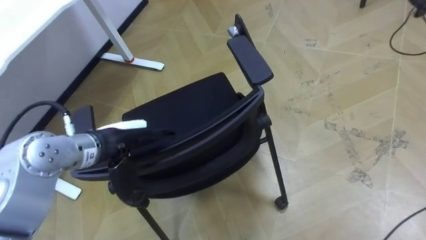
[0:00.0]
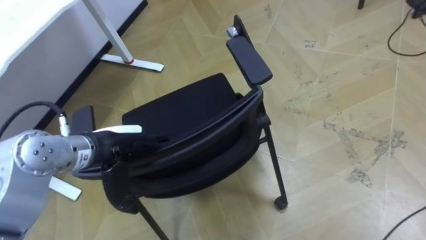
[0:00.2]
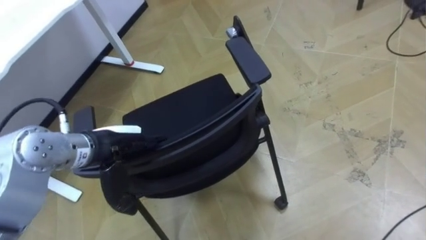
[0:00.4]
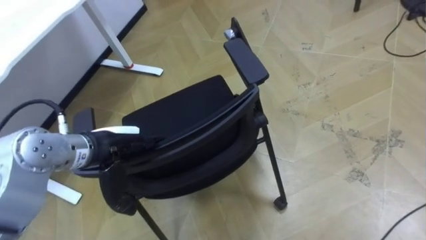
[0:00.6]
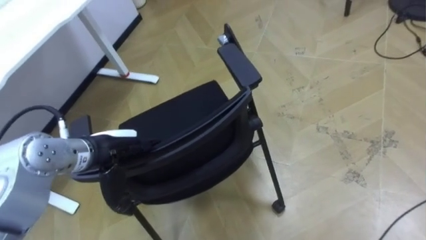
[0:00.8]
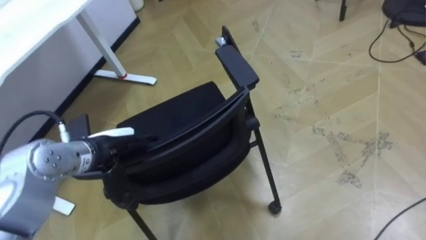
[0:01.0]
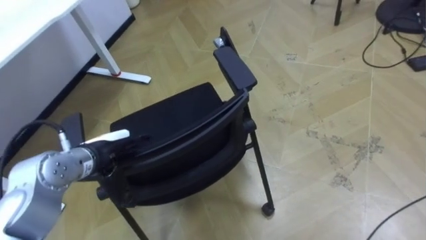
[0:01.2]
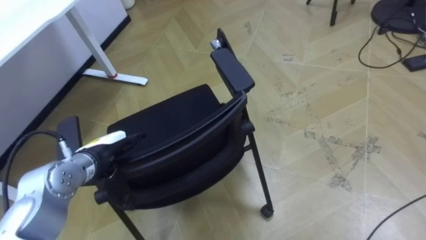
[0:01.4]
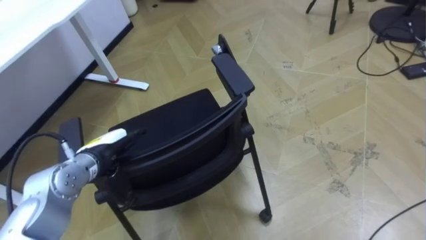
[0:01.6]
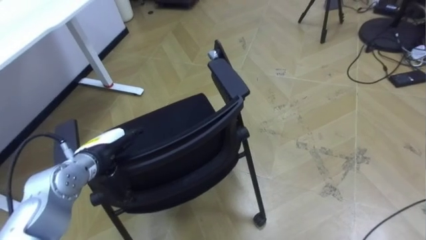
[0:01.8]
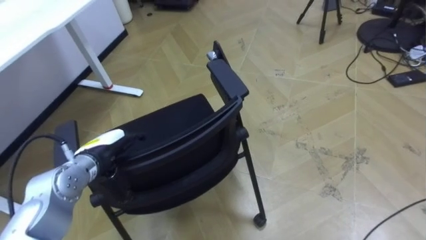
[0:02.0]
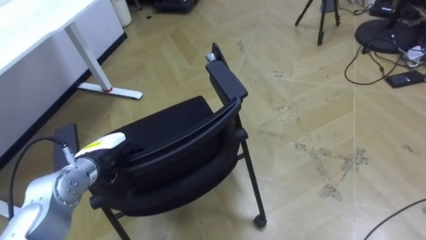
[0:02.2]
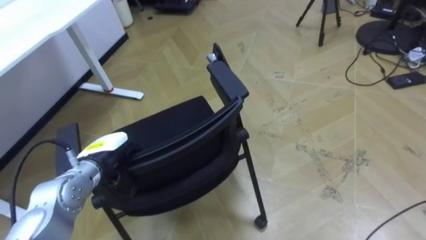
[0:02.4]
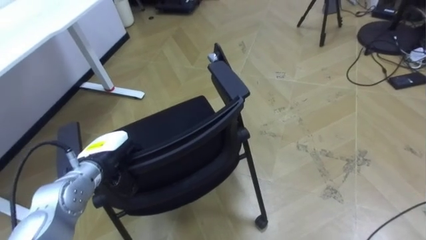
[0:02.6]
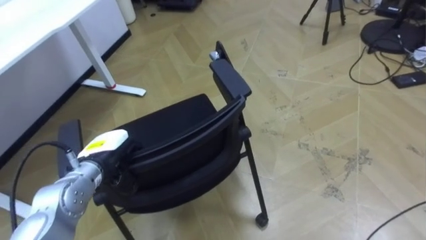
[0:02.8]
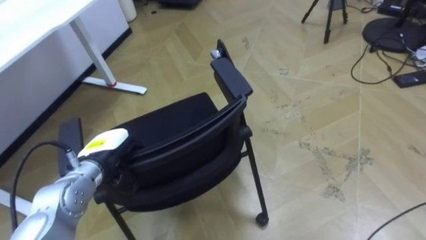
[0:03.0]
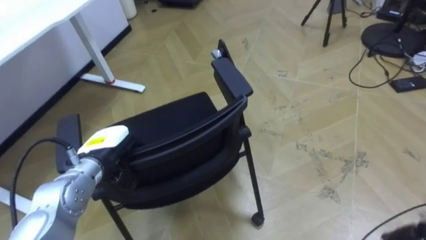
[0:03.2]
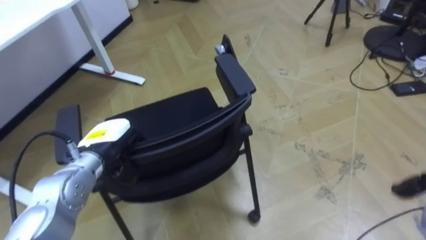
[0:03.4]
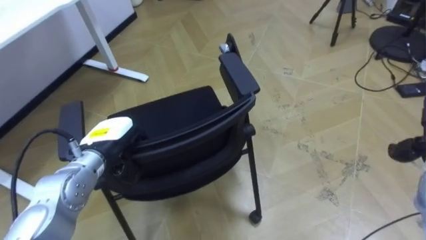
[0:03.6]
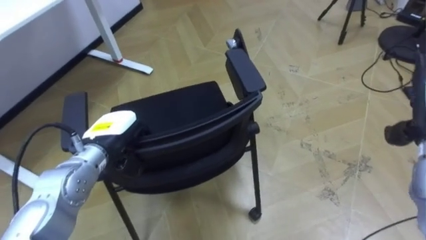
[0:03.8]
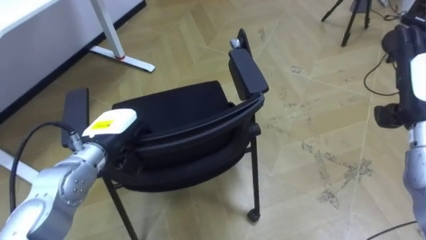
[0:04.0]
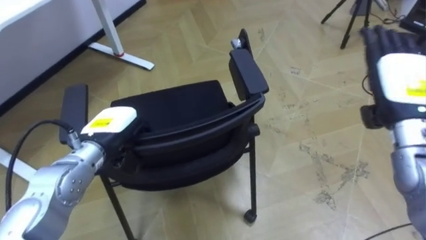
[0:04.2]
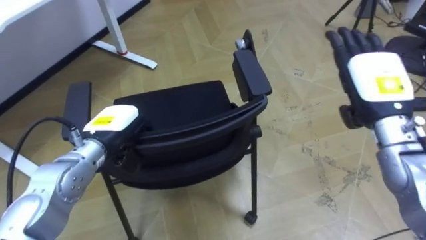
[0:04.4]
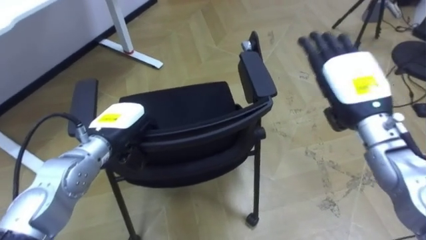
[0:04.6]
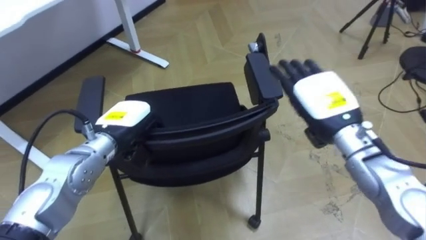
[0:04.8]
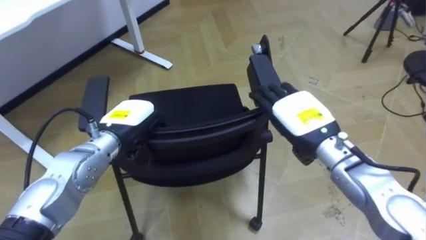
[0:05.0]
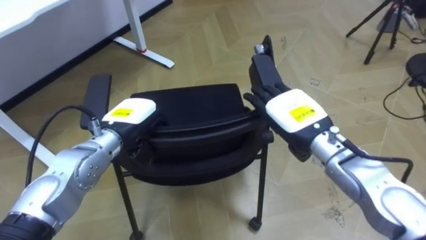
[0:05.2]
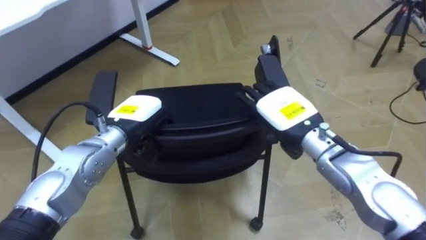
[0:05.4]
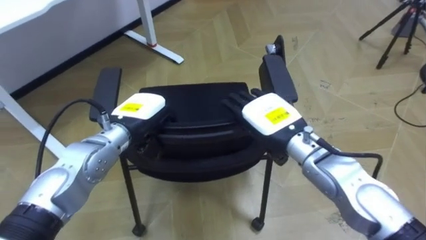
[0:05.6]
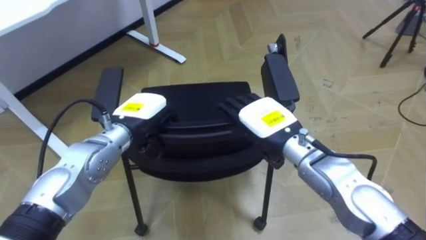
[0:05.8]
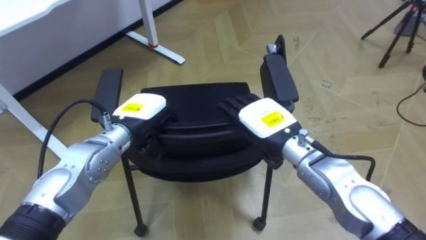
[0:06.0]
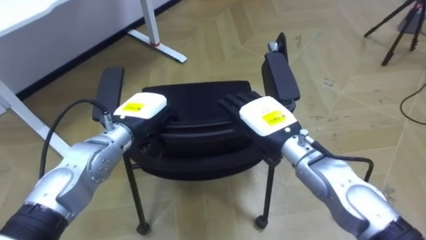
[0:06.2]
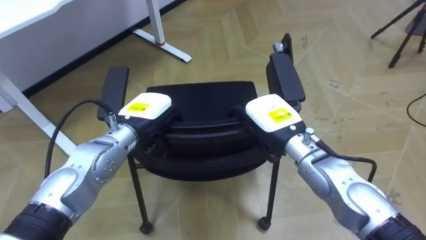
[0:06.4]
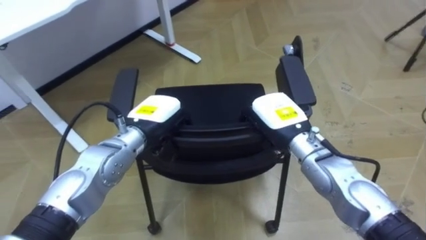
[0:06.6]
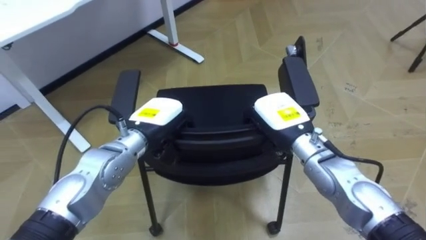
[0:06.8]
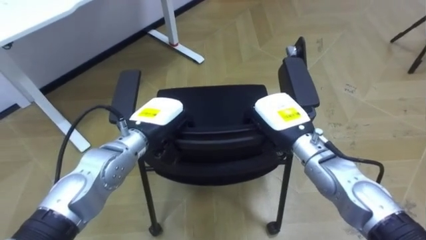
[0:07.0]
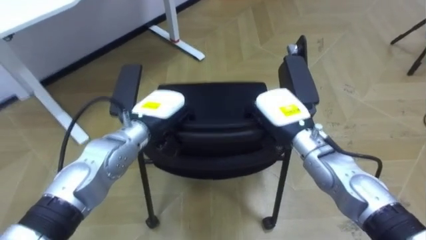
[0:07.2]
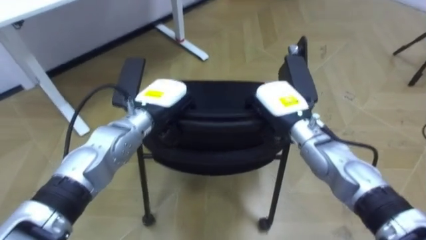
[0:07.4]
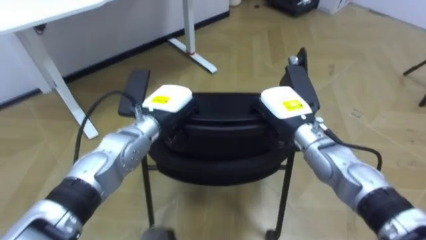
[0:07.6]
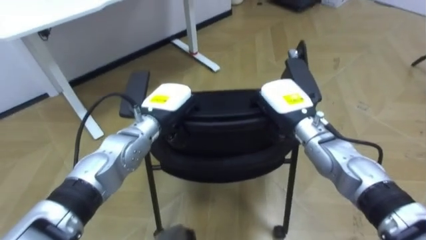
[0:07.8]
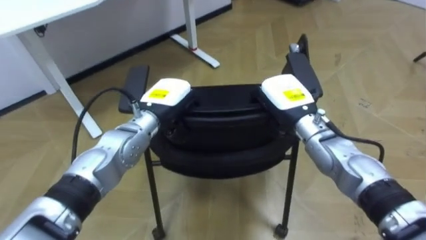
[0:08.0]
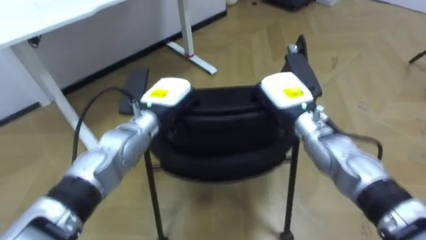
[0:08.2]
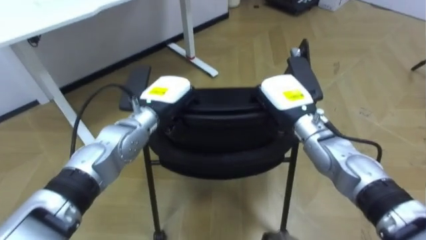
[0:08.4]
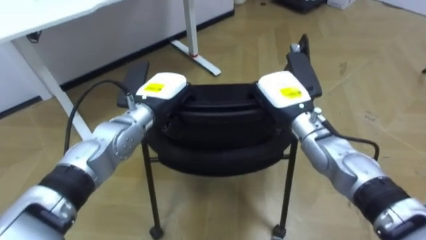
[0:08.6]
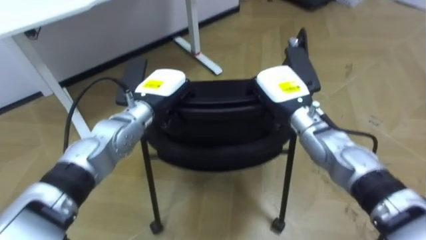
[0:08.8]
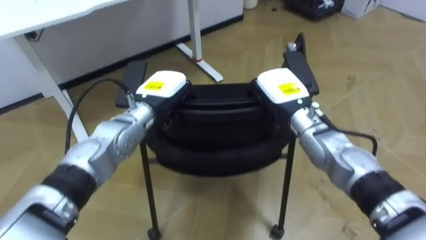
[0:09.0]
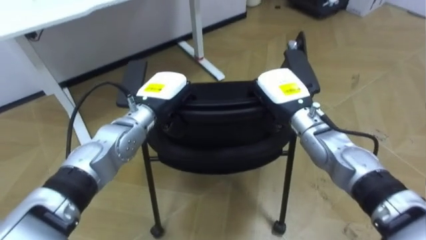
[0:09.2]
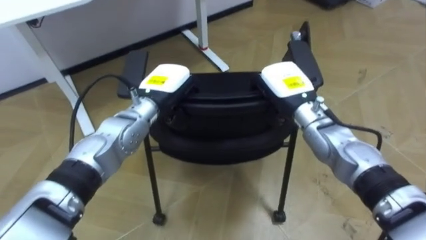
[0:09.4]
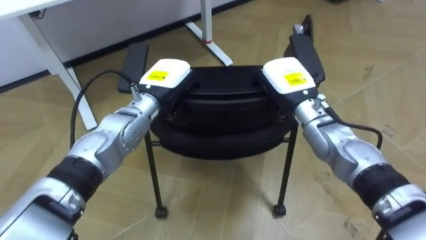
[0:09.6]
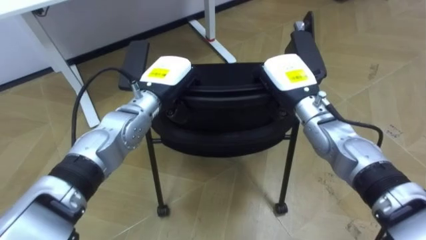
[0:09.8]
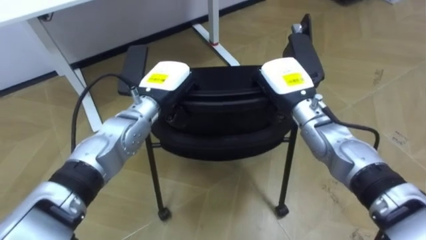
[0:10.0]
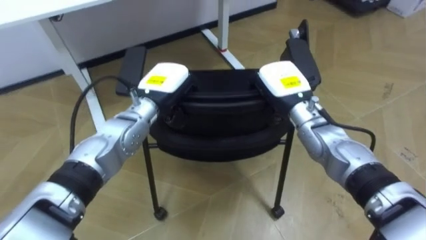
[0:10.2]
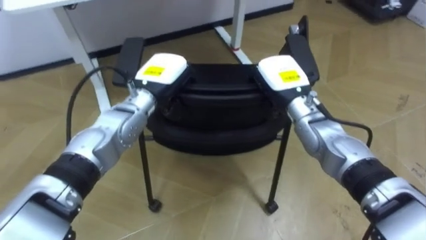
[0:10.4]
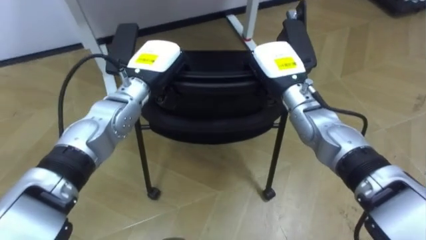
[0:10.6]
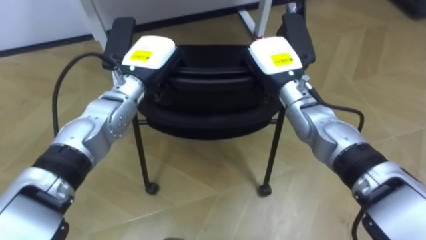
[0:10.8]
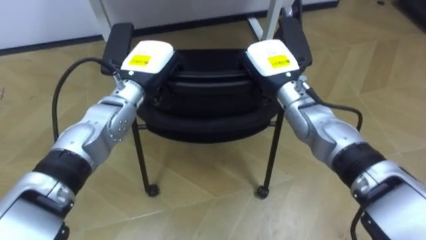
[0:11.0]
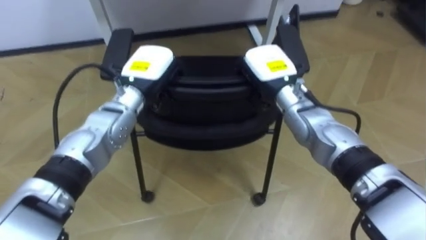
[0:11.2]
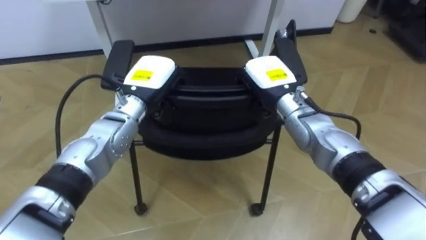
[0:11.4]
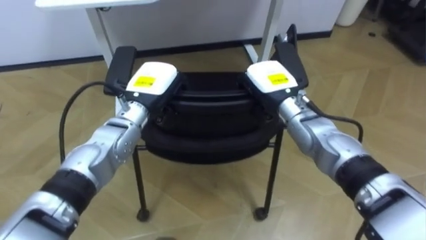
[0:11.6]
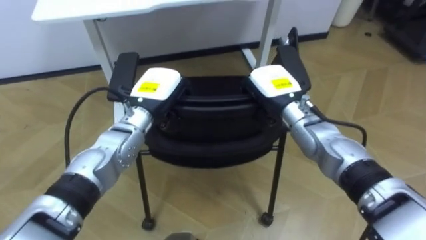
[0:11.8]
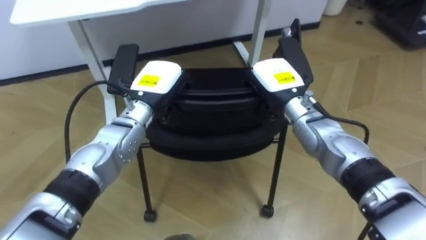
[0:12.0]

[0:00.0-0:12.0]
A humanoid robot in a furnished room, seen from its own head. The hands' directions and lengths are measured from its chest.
Task of the whole recording: Push the chair under the table.
0:00.0 to 0:01.6: The left hand is displaced downward by approximately 10 cm.
0:01.6 to 0:03.0: The left hand closes up.
0:03.0 to 0:04.4: The left hand ends up roughly 5 cm from where it was.
0:04.4 to 0:06.0: The left hand changes place by some 5 cm. Meanwhile the right hand is displaced to the left and downward by roughly 20 cm.
0:06.0 to 0:07.6: The left hand is displaced to the right by approximately 5 cm; the right hand shifts by some 5 cm, and closes its fingers.

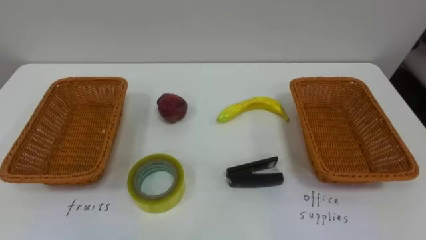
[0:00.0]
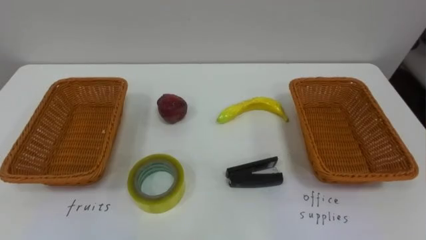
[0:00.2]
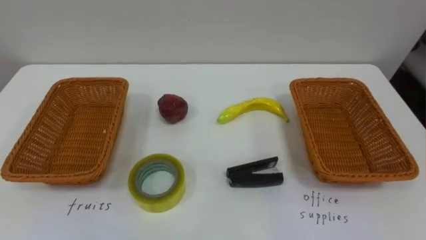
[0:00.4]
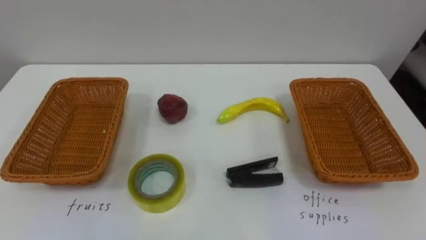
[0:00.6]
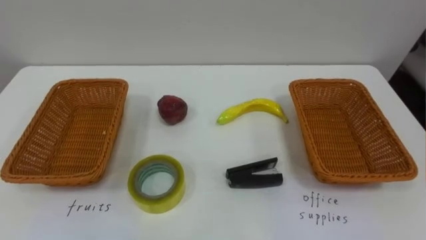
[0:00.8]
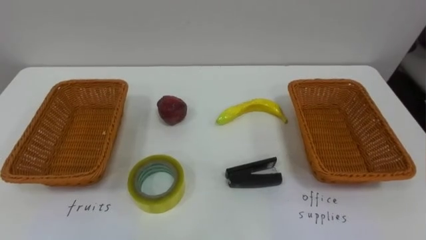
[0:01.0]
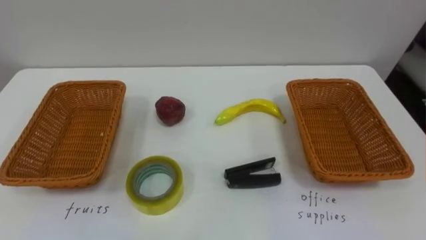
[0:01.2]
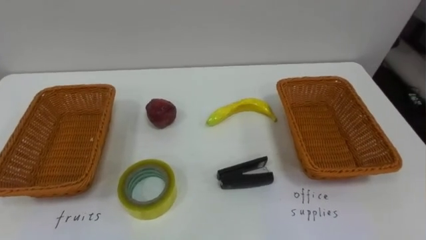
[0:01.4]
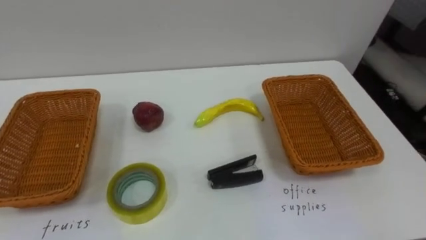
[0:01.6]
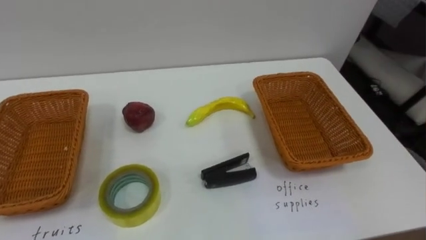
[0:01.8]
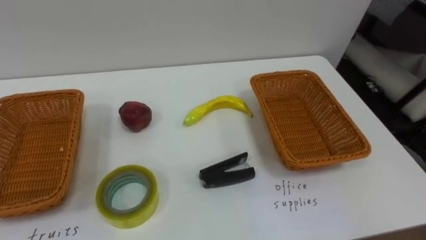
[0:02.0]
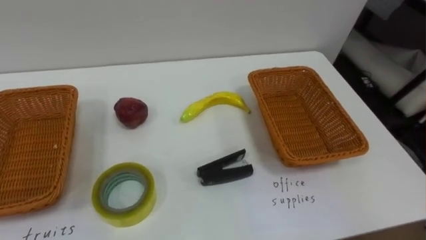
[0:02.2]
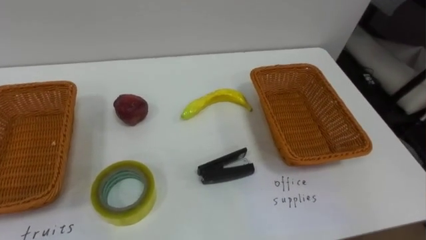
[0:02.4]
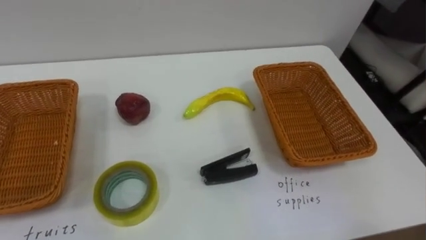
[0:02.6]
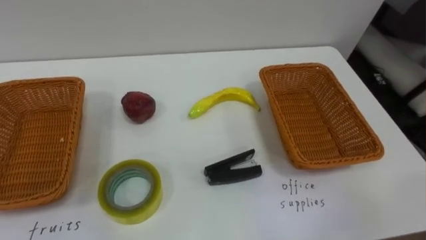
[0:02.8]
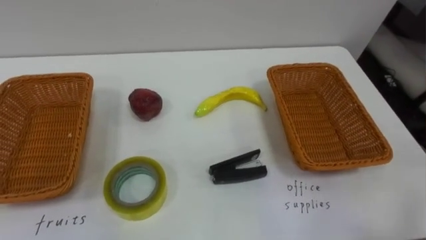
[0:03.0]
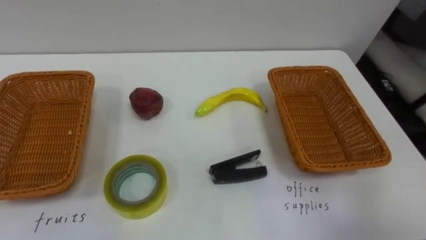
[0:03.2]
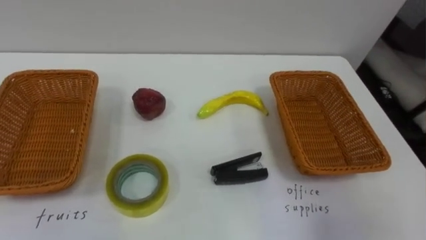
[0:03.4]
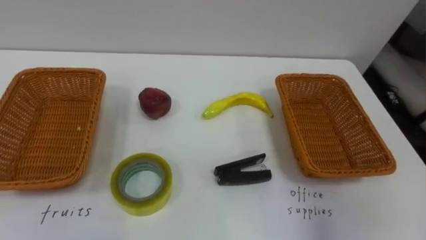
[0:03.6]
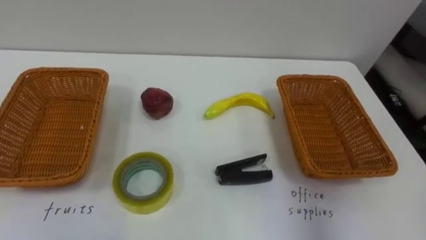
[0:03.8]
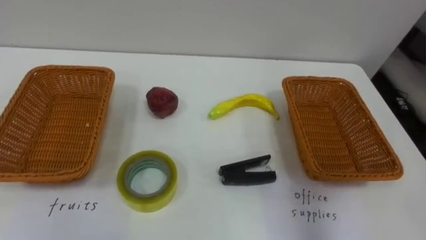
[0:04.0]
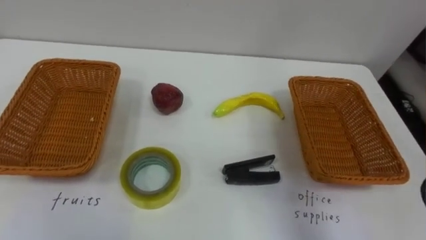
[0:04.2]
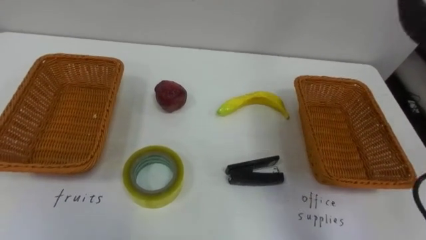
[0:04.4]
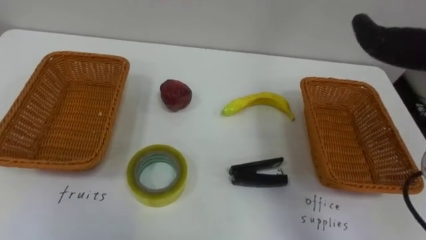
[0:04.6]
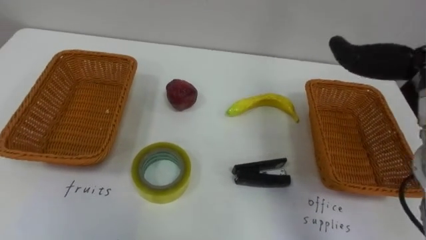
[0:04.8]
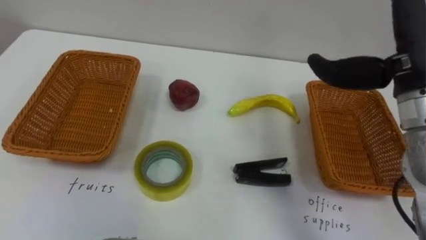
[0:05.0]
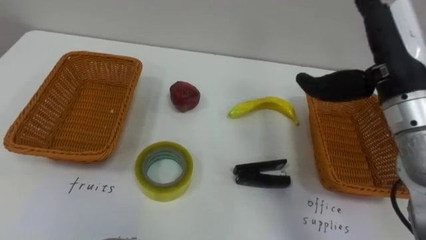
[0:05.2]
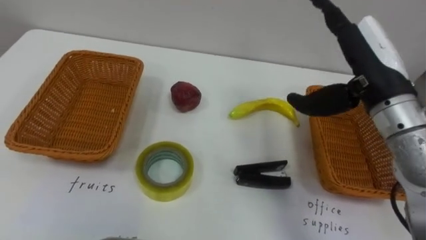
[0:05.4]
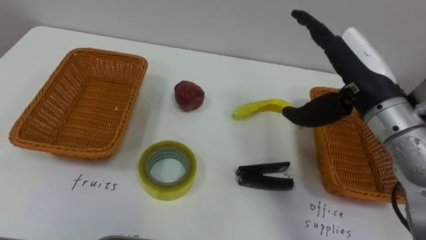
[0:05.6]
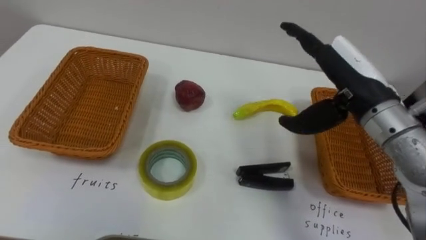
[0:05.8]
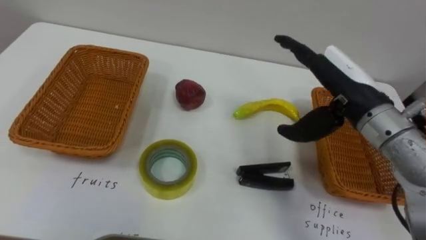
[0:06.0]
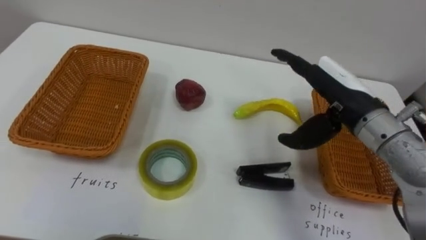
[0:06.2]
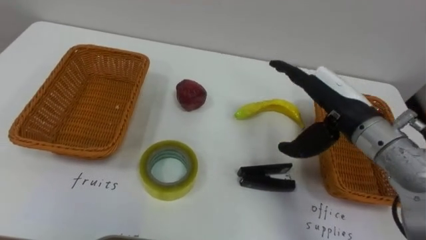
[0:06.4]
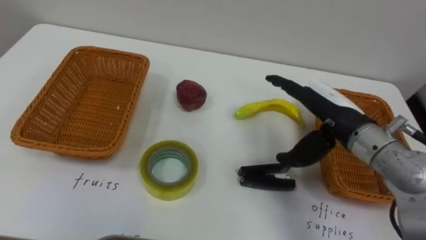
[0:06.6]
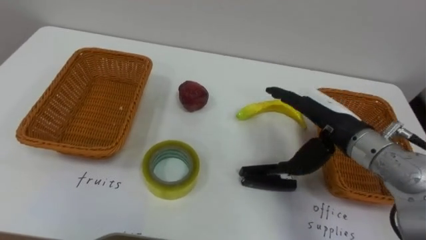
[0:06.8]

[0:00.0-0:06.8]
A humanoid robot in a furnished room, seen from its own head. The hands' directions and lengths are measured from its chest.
Task of the whole recording: Separate the items on the table and place them into the two baskets.
0:05.4 to 0:06.8: The right hand heads downward, covering approximately 10 cm.
